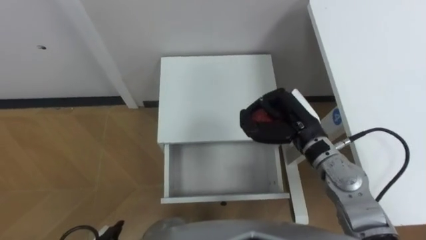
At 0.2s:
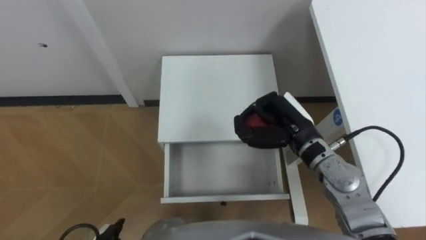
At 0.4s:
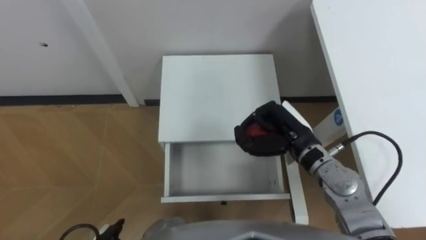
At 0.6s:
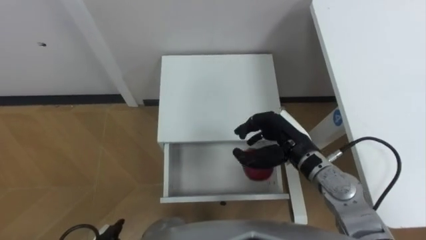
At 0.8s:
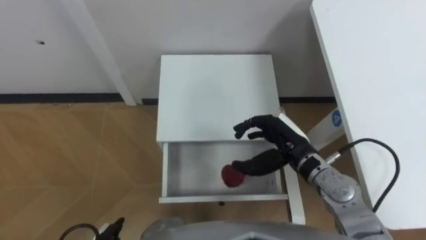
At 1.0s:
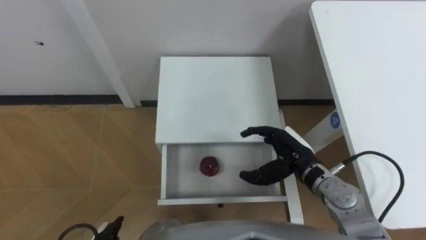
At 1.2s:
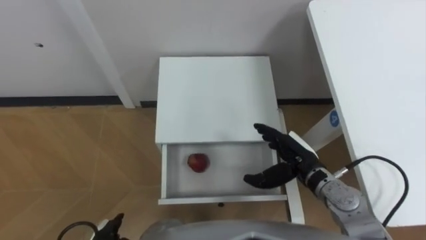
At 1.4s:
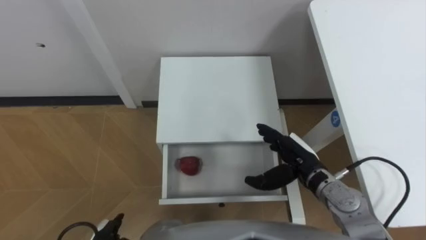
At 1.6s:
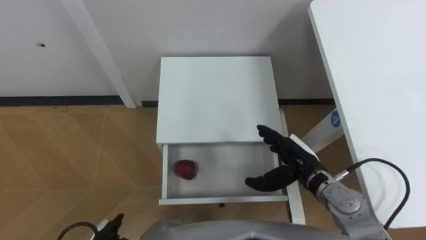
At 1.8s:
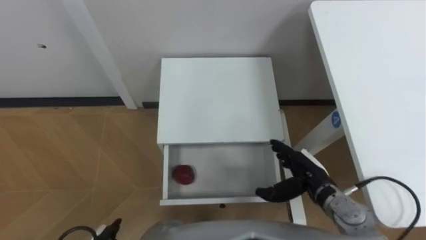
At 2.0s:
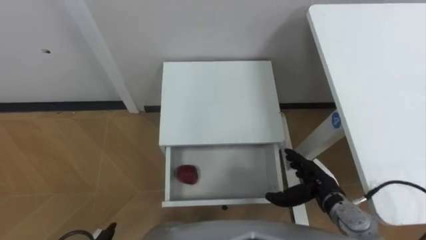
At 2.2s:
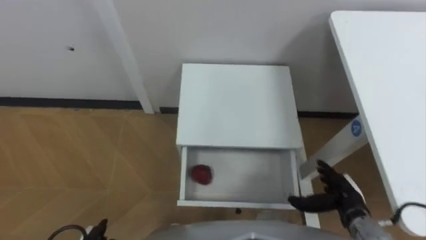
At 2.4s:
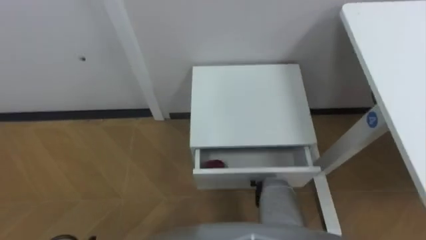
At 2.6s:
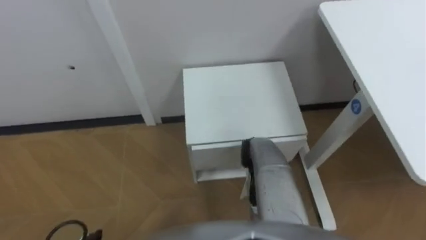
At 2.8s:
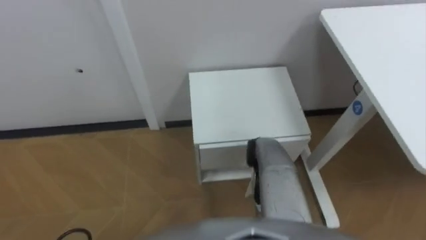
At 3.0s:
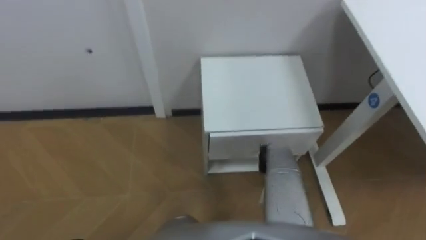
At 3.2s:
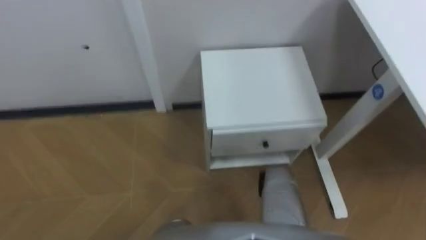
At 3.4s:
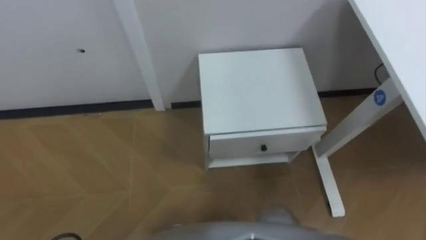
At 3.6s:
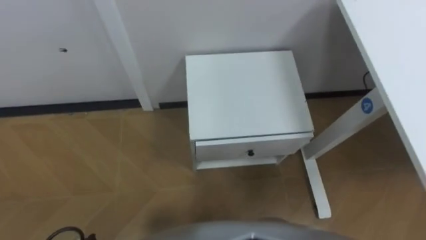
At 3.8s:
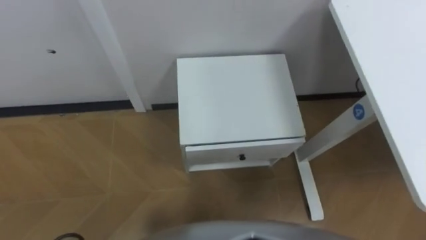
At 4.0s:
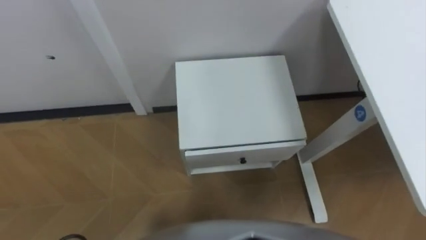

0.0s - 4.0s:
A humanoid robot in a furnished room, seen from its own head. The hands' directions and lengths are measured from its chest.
Task of the whole recording: Pick up the apple from the table, put it in the drawer, and close the drawer with leg.
0.0s - 1.4s: The right hand shifts about 10 cm downward and backward, and opens up.

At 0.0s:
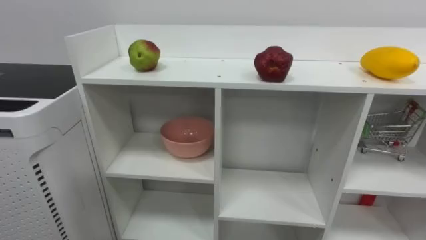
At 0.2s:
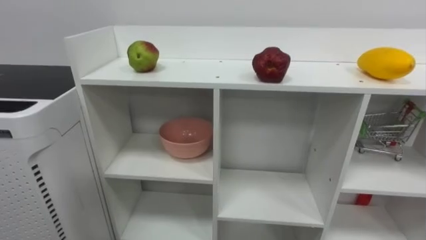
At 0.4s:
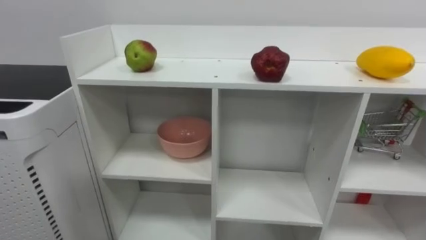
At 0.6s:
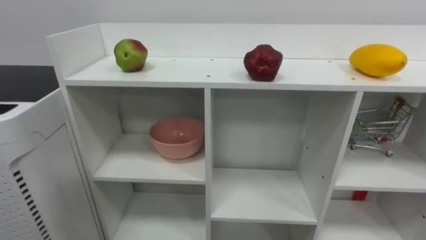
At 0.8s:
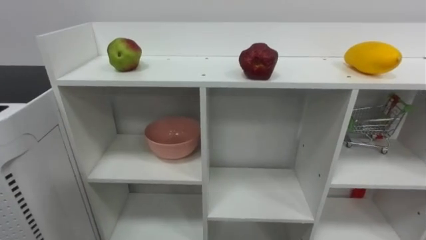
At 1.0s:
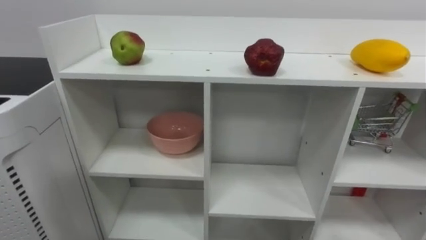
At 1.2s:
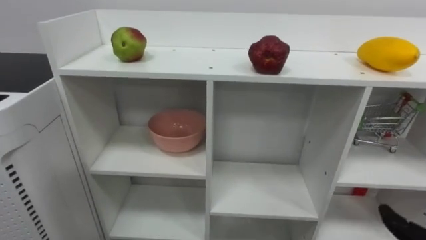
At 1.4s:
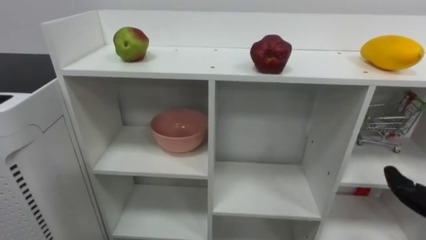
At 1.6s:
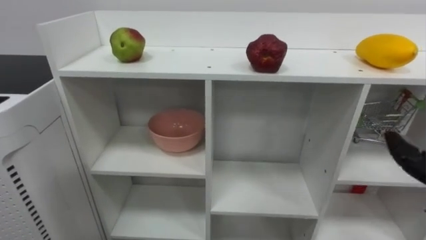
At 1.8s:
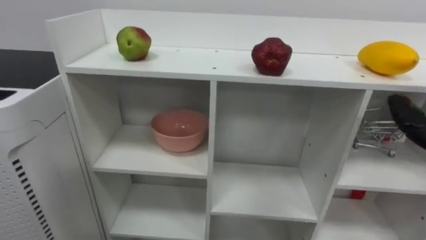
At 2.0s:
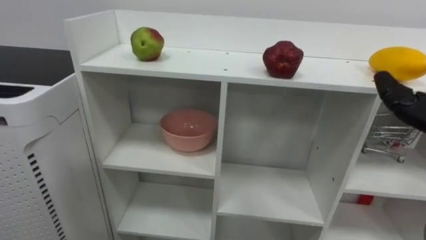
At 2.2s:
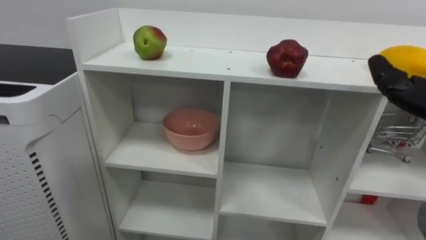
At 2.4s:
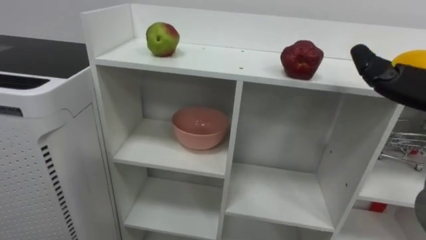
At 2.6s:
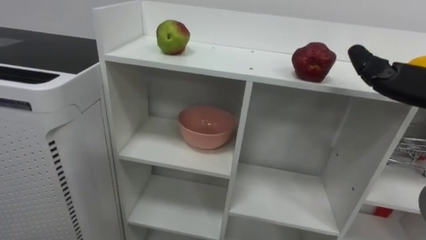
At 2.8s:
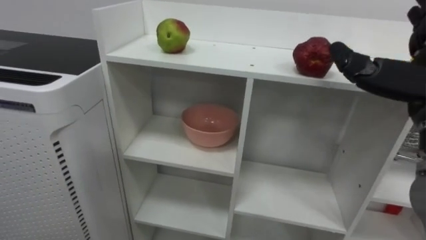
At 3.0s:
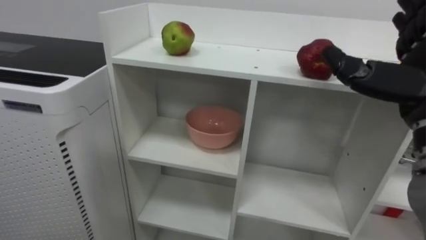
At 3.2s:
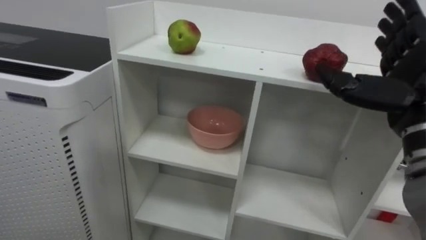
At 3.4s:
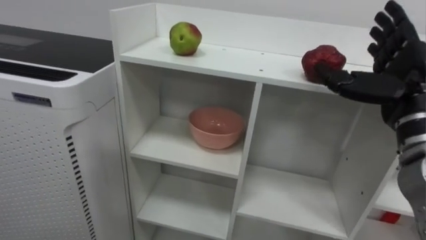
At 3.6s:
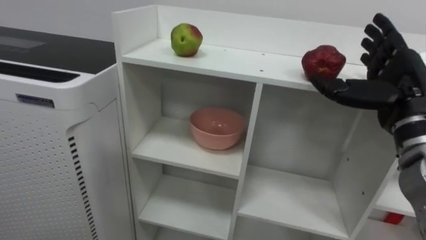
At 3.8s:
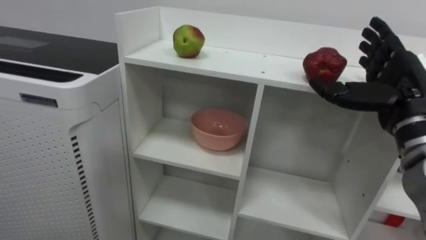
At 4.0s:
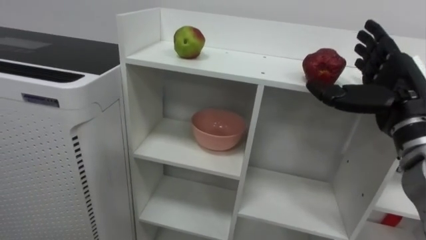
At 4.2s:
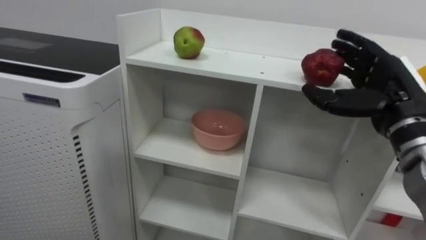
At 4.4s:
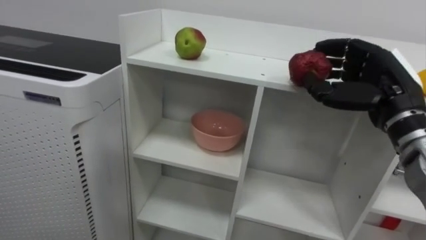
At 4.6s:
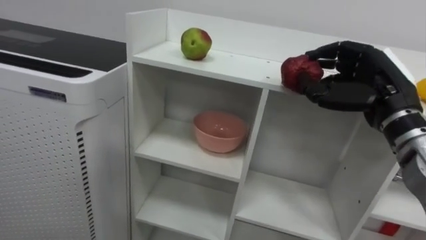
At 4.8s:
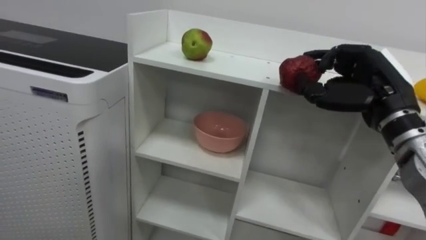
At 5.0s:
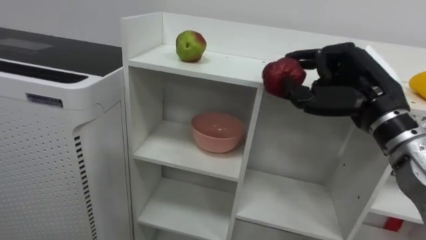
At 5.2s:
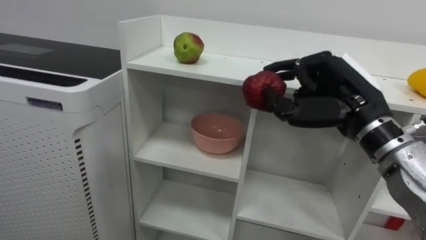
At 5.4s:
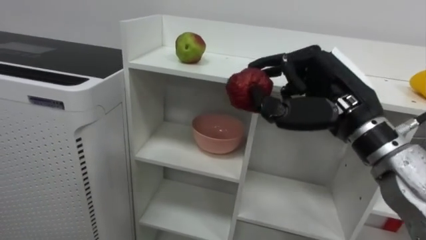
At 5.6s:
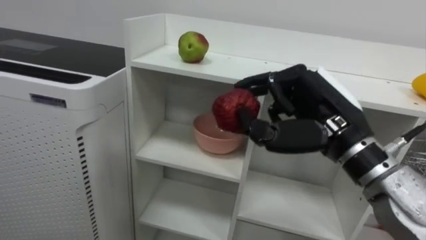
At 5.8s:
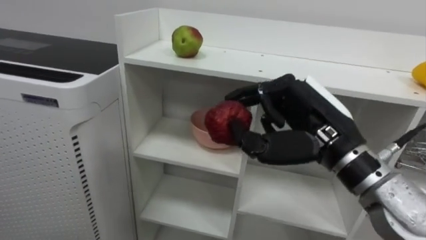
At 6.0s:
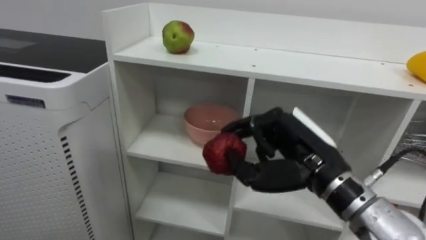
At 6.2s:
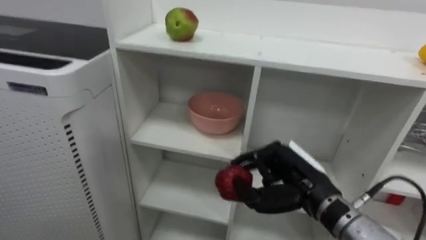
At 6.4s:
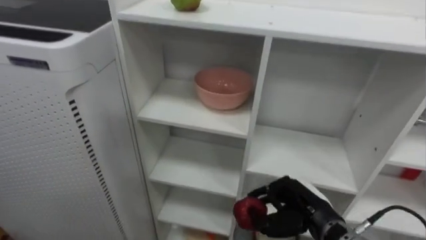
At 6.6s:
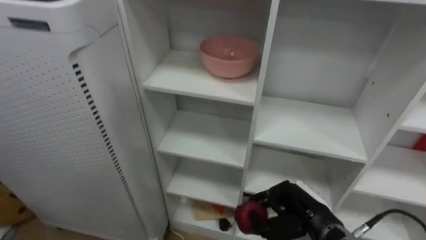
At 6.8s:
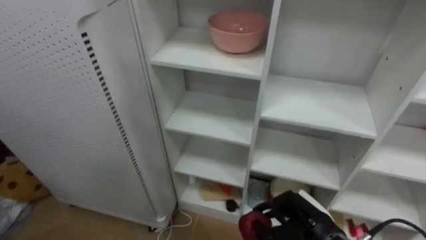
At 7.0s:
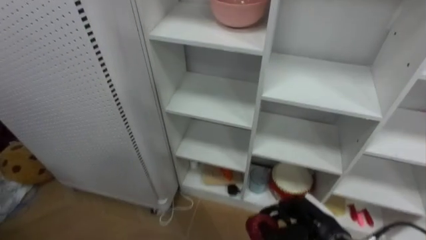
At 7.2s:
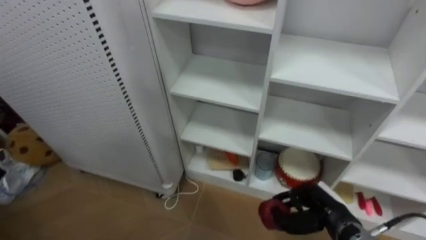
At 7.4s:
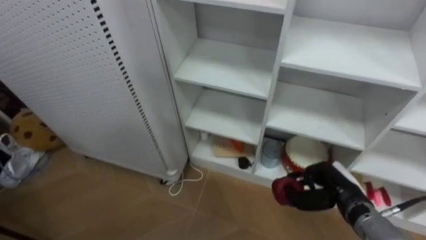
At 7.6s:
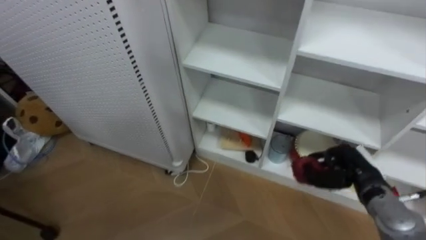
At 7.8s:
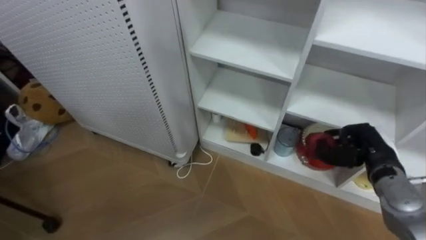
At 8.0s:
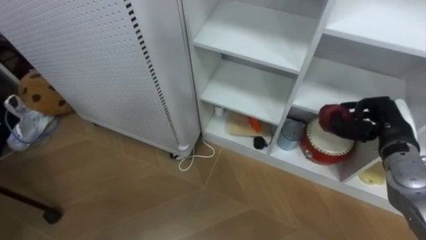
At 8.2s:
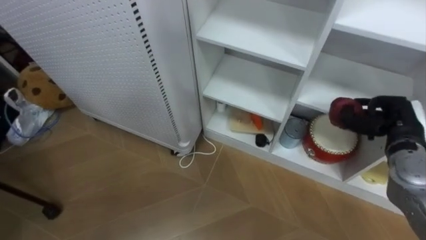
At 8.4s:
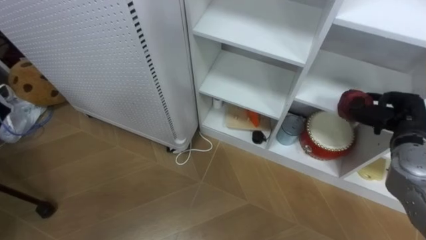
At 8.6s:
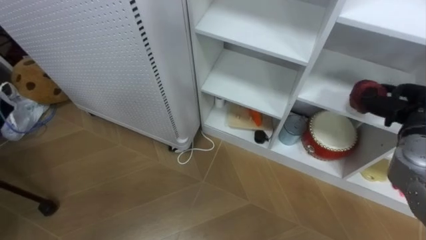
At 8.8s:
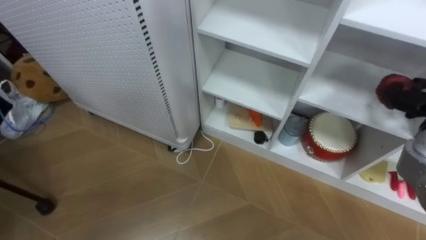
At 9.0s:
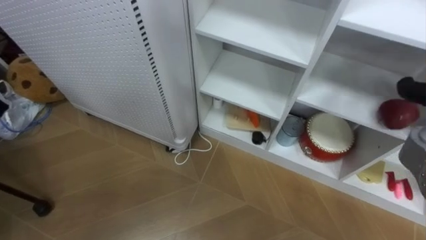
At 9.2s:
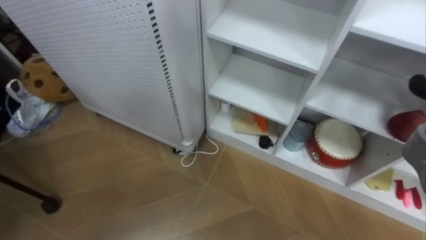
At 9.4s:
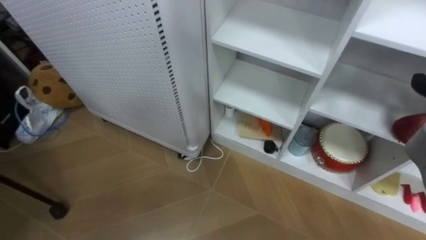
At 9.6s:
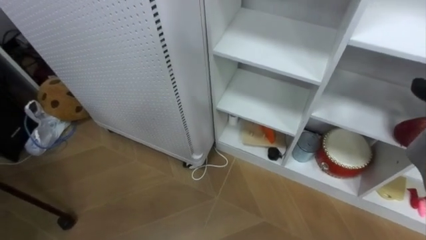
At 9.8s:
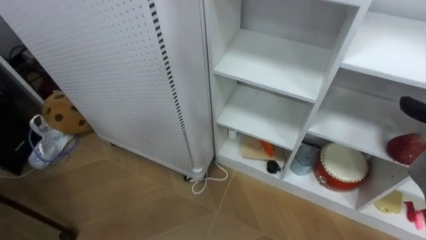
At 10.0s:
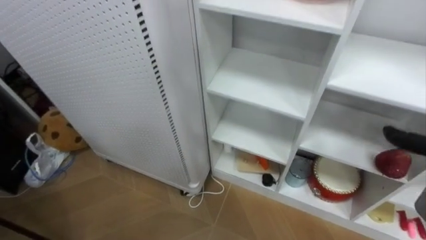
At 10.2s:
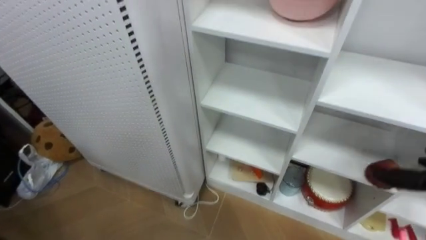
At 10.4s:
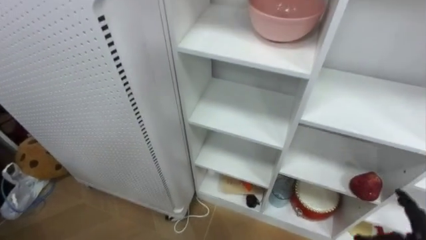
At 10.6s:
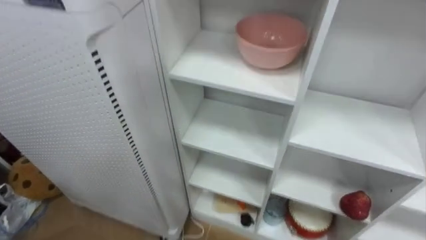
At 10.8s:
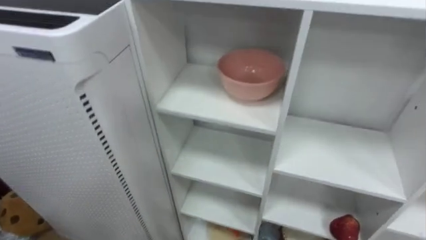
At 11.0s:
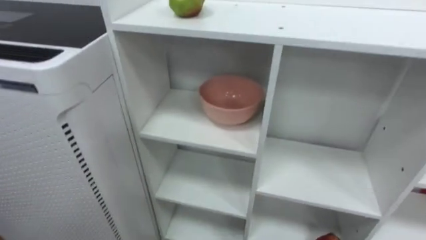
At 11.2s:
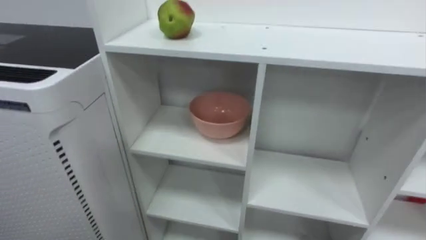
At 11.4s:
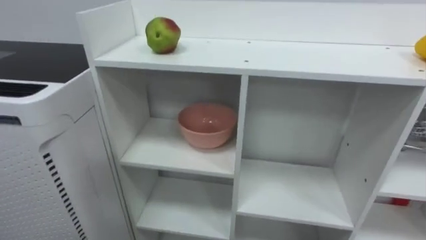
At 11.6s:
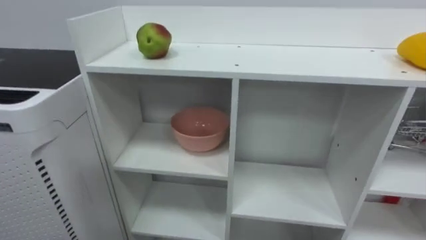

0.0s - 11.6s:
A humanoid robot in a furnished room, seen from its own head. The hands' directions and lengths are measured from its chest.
Task of the whole recording: Put the apple in the cell in the second column from the left and the second row from the top.
4.4s - 5.8s: The right hand moves to the left and backward, approximately 15 cm.
5.8s - 7.2s: The right hand is displaced downward by about 25 cm.

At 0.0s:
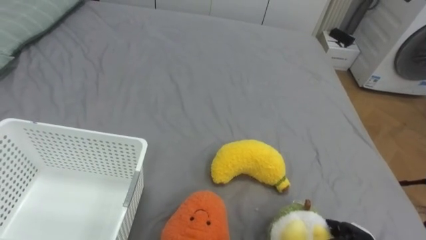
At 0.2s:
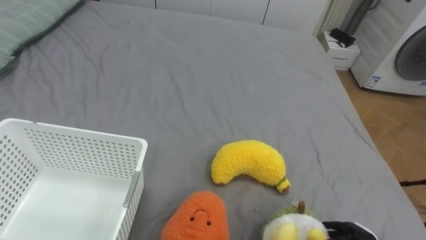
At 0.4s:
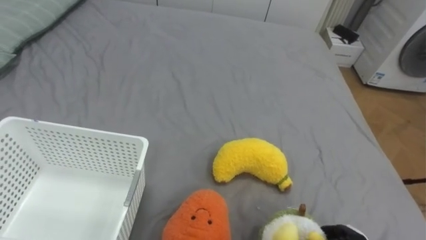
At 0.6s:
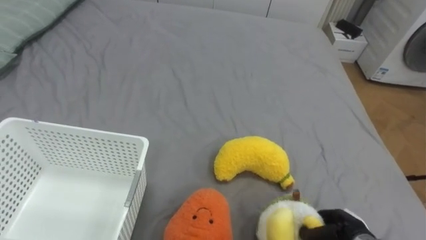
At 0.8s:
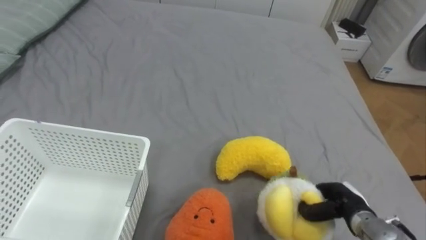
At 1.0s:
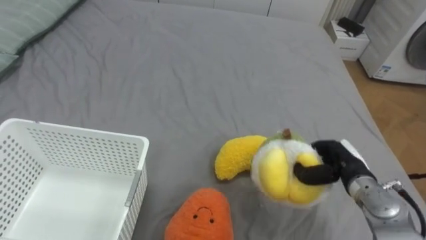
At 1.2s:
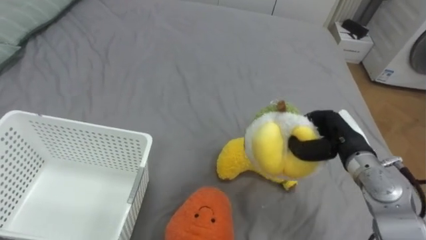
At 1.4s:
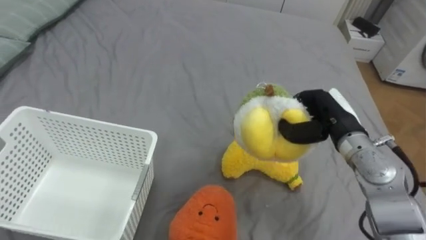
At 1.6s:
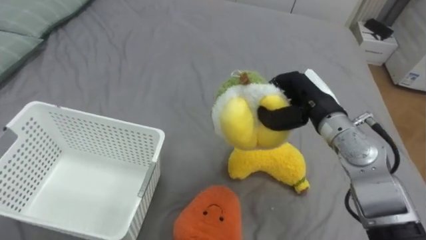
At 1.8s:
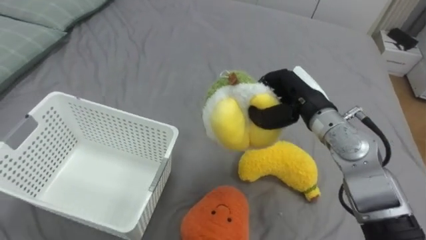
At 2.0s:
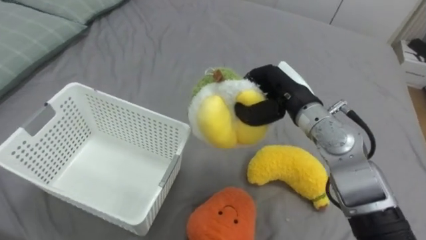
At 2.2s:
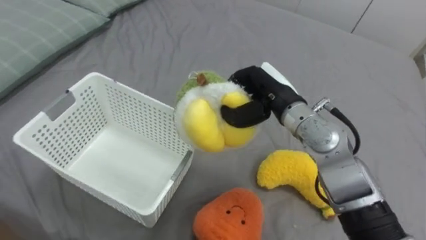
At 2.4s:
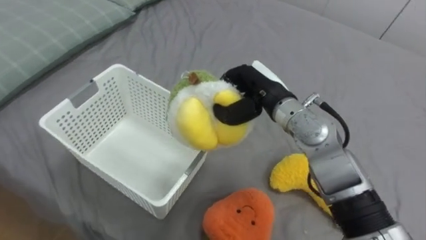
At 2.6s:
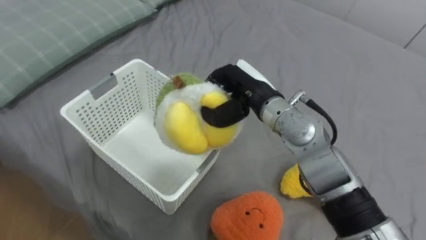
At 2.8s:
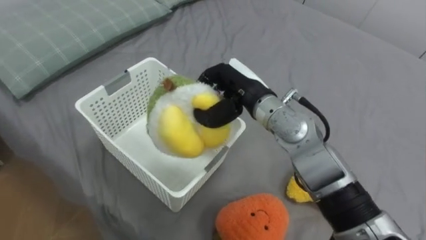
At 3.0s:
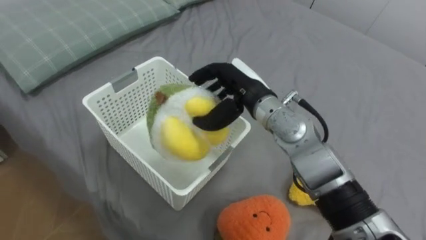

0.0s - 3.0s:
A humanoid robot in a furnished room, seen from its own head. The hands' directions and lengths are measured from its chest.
Task of the whole recording: Put the toys on the bed into the basket on the left.
1.6s - 3.0s: The right hand heads to the left, covering roughly 15 cm, and opens up.
